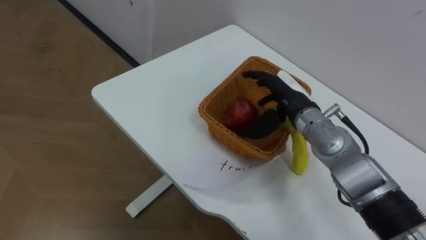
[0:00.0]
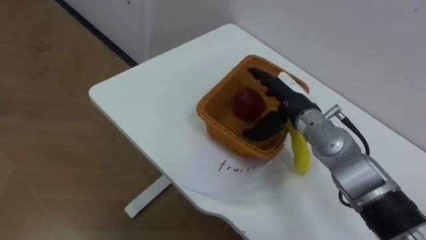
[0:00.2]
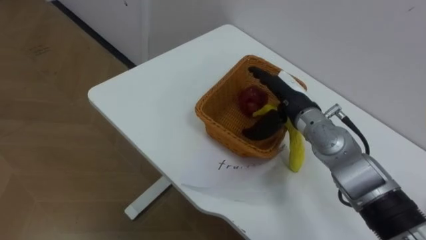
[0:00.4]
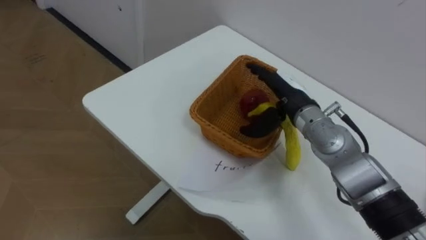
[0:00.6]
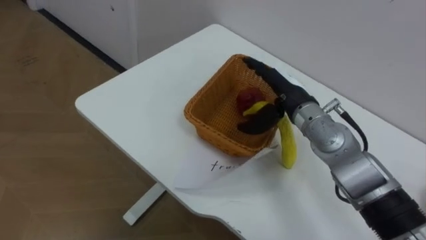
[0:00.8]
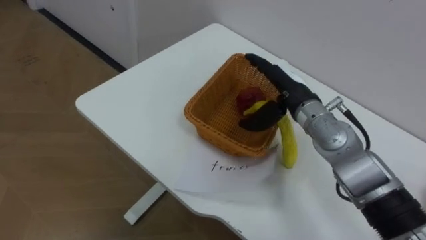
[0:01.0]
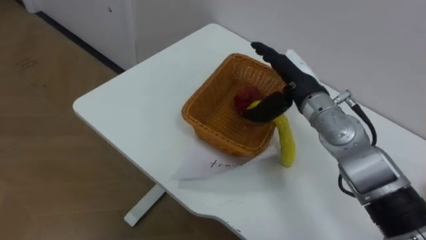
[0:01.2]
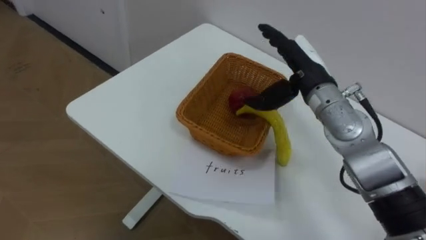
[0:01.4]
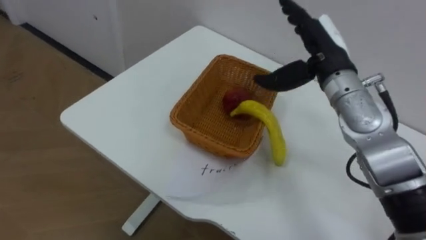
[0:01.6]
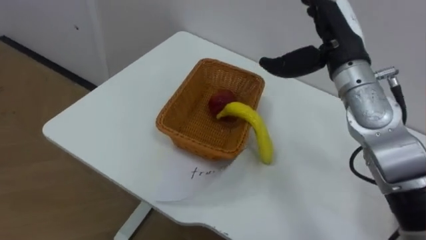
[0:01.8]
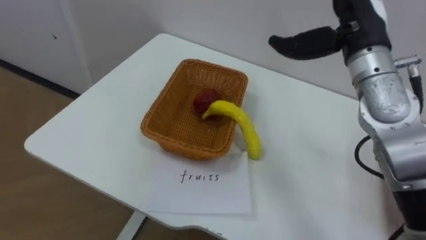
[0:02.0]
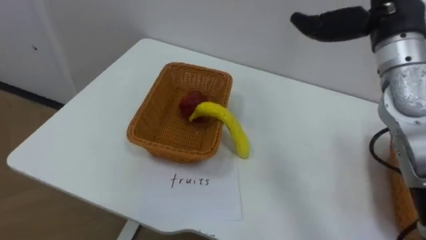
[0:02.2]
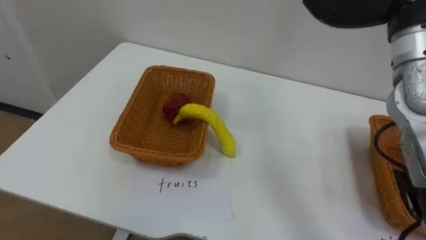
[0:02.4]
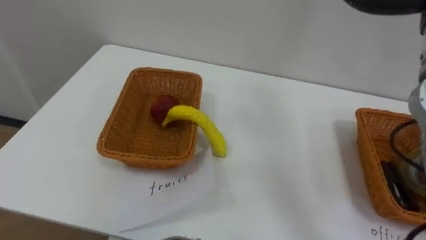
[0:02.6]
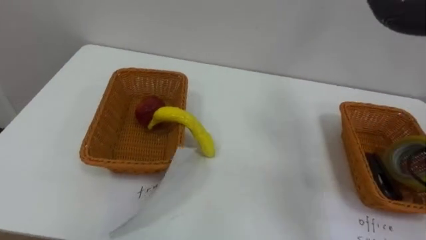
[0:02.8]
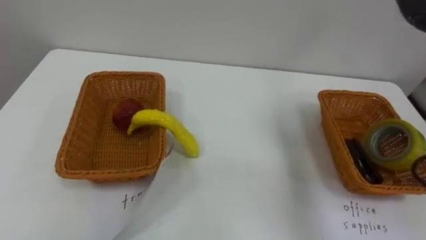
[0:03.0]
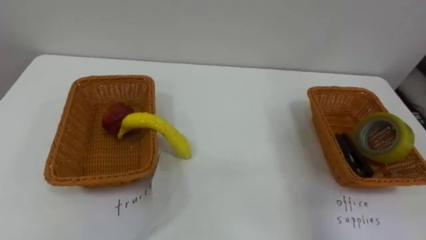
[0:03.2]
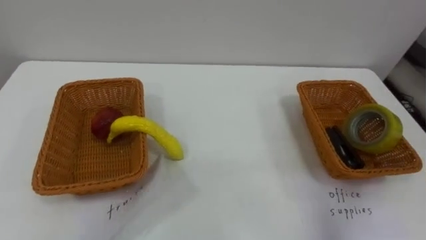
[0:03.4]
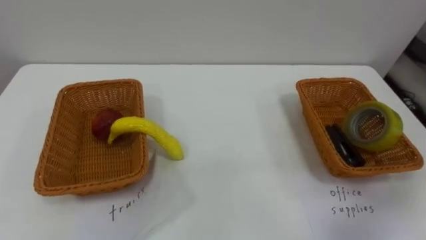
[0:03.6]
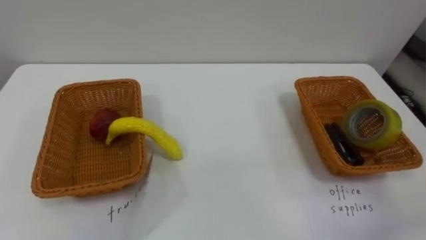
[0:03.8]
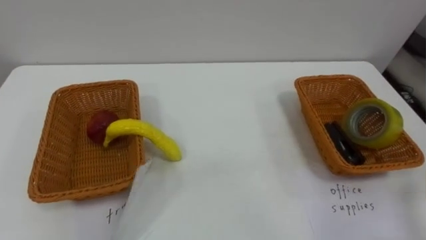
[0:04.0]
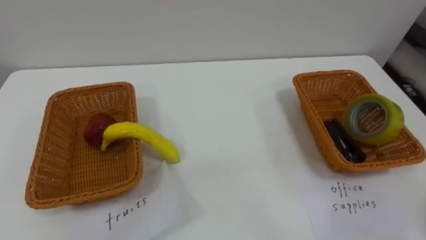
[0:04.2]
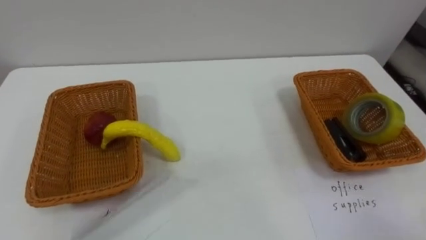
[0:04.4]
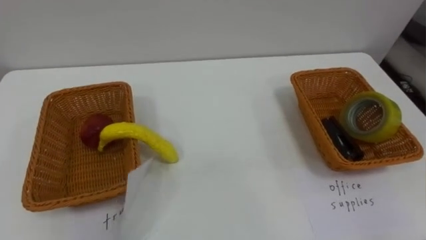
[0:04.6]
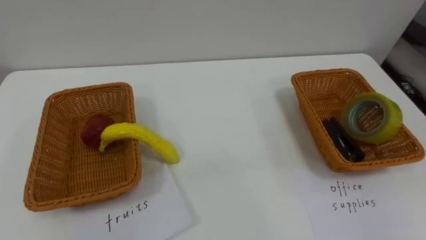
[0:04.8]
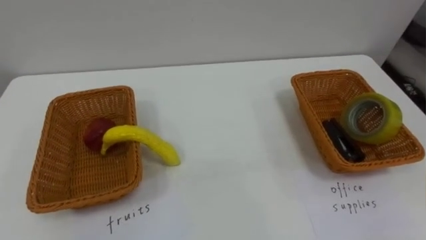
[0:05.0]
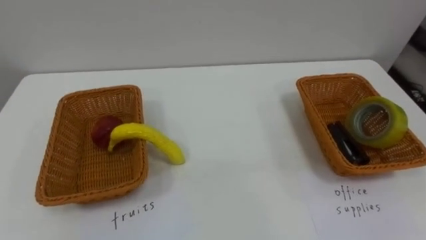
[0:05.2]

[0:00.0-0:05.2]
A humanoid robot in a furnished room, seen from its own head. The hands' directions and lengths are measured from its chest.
Task of the whole recording: Separate the items on the table and place them into the two baskets.
0:00.0 to 0:01.8: The right hand goes about 10 cm upward.

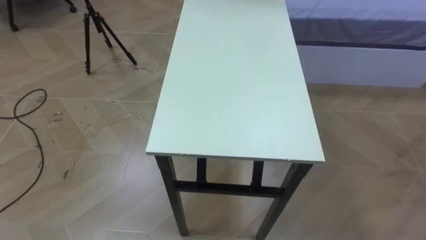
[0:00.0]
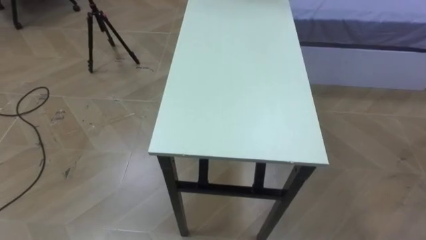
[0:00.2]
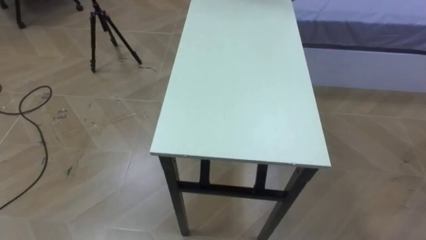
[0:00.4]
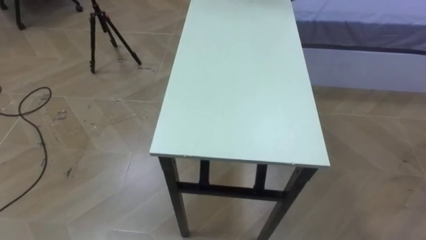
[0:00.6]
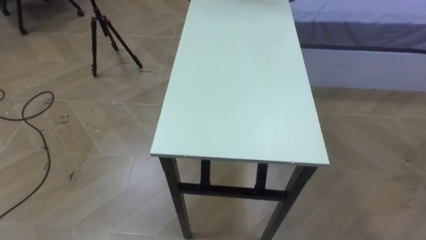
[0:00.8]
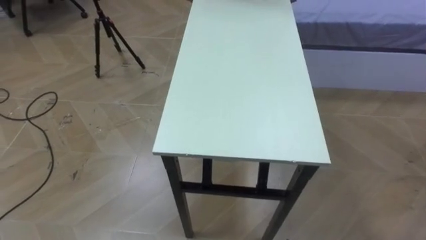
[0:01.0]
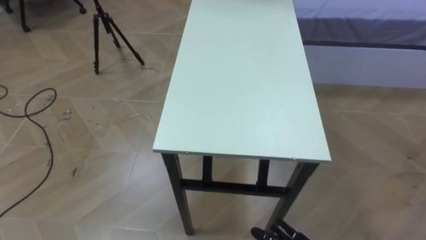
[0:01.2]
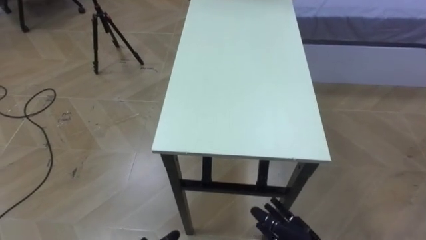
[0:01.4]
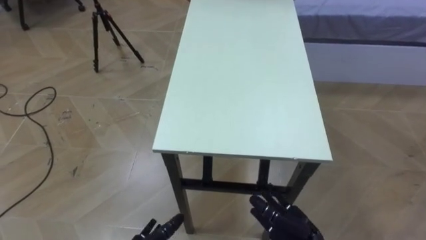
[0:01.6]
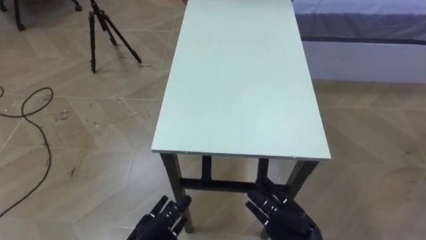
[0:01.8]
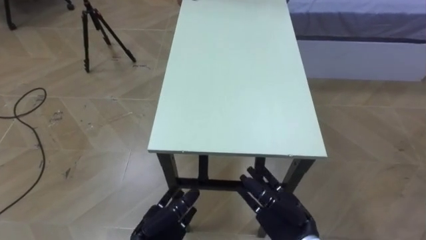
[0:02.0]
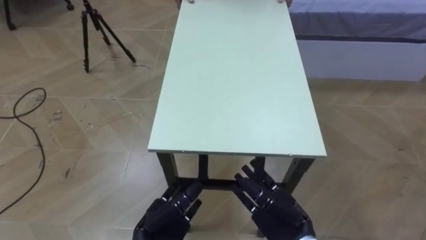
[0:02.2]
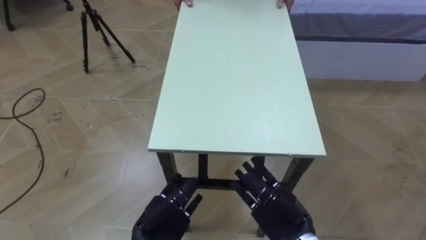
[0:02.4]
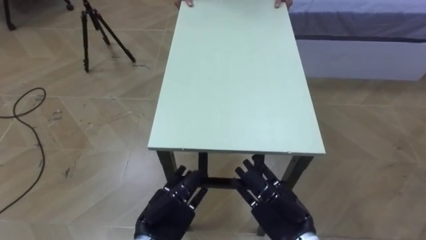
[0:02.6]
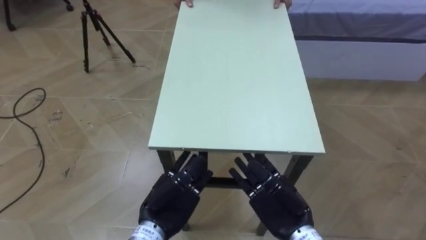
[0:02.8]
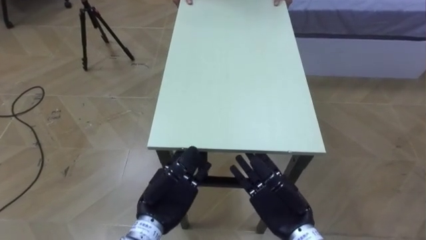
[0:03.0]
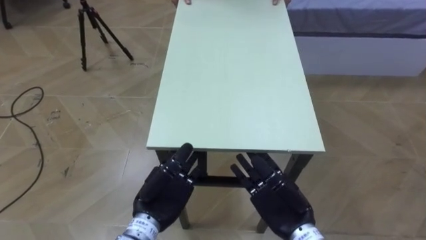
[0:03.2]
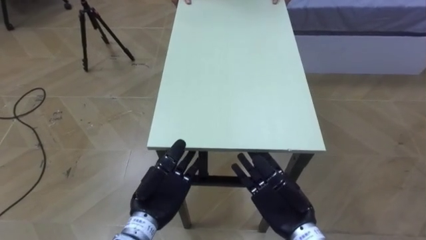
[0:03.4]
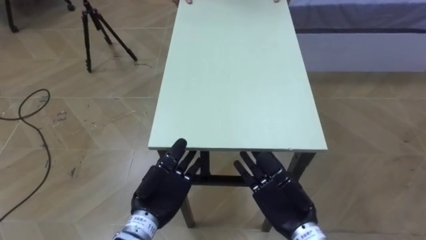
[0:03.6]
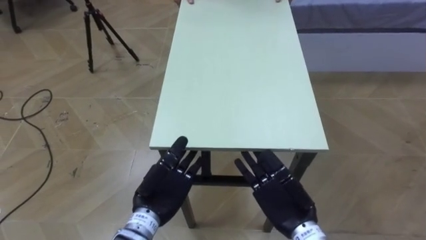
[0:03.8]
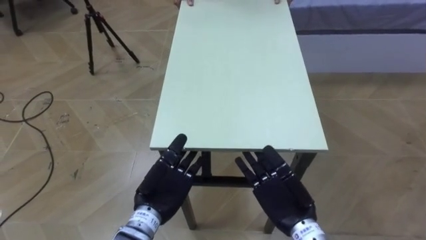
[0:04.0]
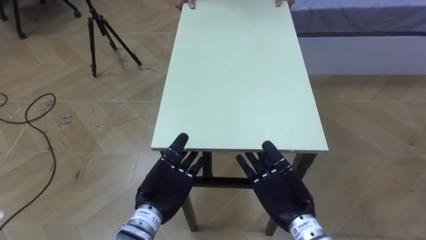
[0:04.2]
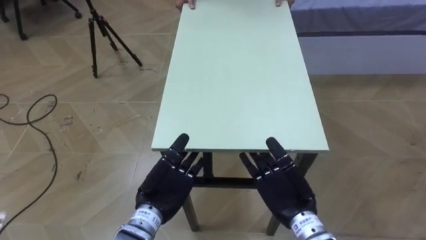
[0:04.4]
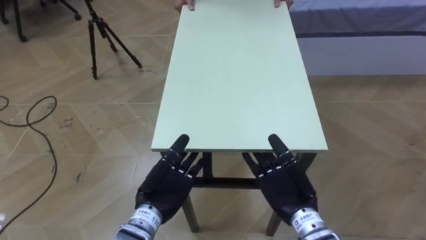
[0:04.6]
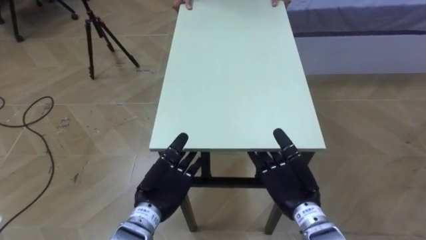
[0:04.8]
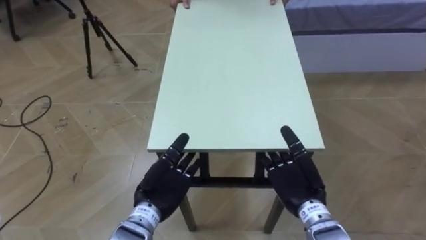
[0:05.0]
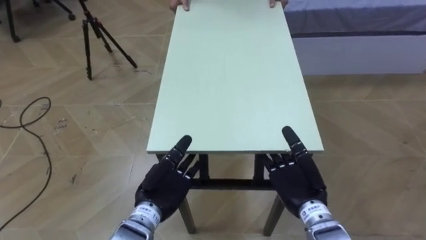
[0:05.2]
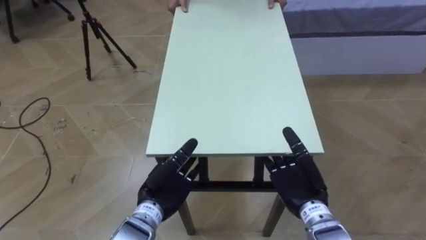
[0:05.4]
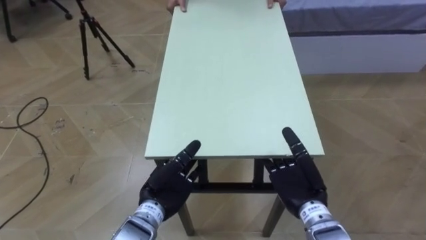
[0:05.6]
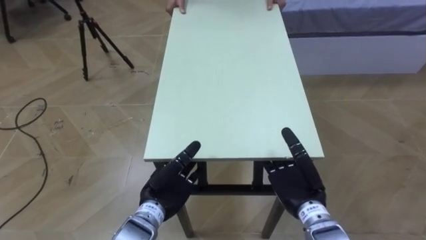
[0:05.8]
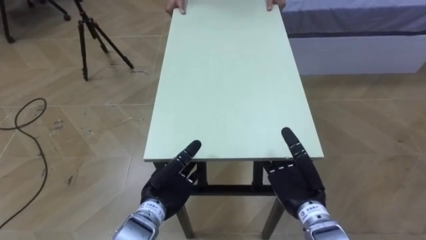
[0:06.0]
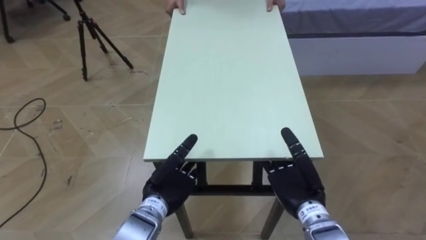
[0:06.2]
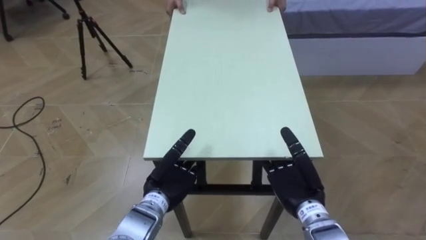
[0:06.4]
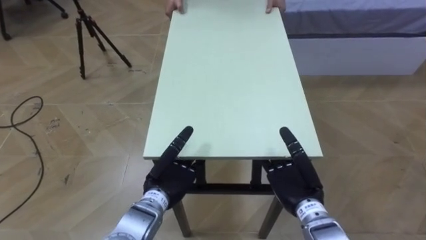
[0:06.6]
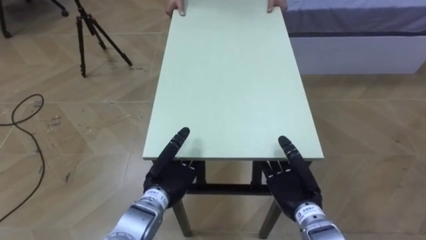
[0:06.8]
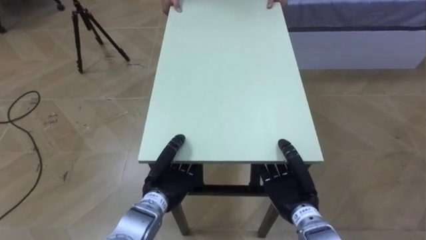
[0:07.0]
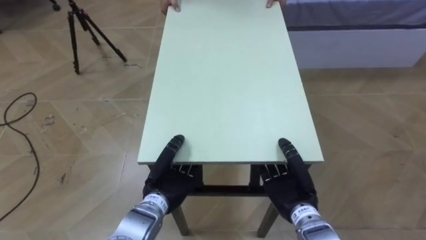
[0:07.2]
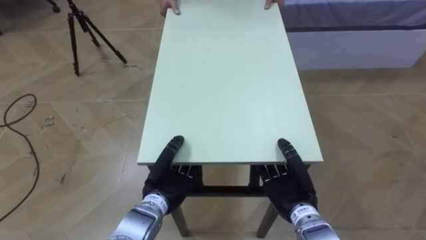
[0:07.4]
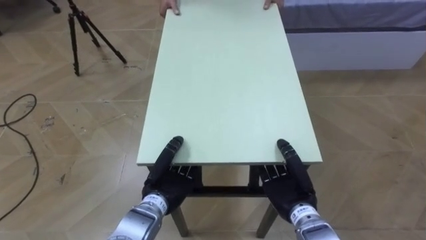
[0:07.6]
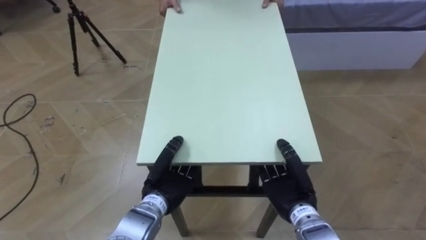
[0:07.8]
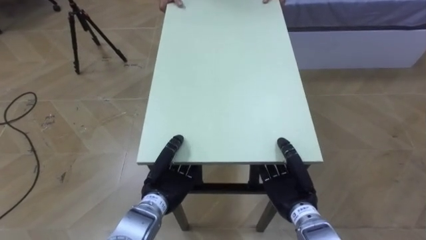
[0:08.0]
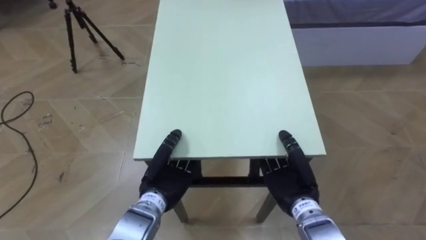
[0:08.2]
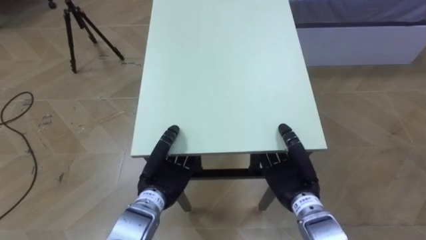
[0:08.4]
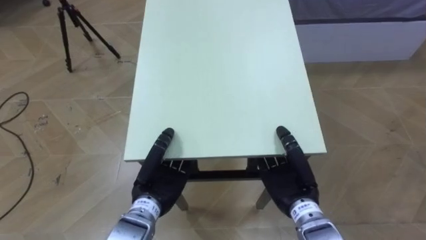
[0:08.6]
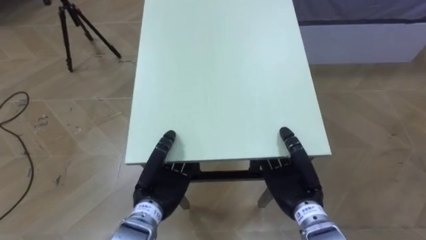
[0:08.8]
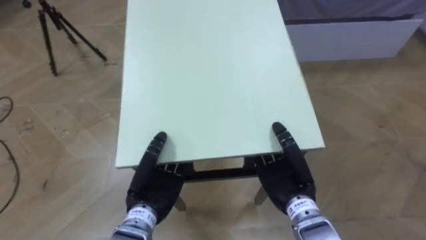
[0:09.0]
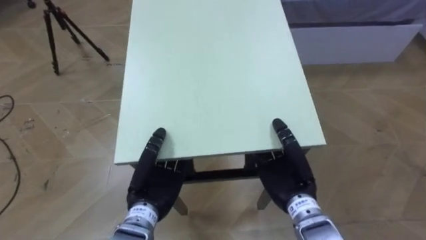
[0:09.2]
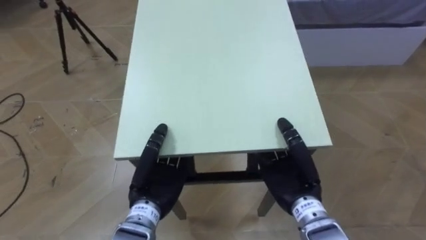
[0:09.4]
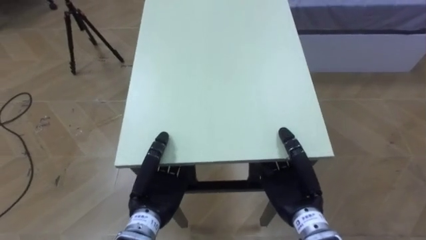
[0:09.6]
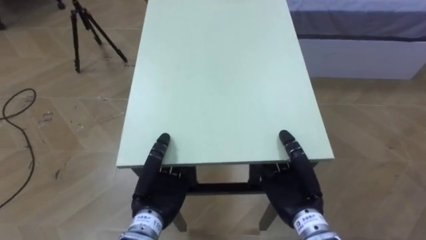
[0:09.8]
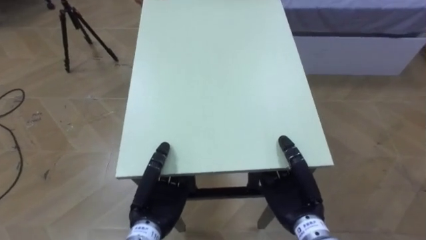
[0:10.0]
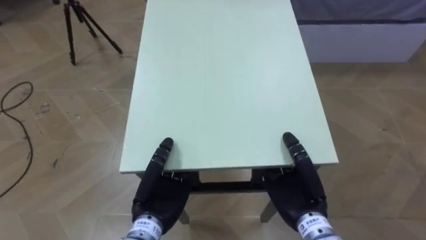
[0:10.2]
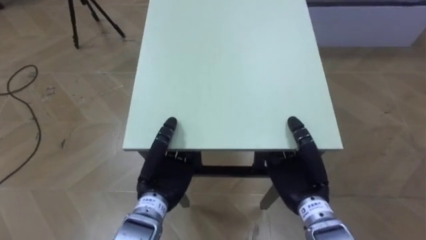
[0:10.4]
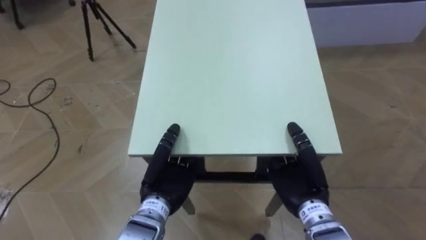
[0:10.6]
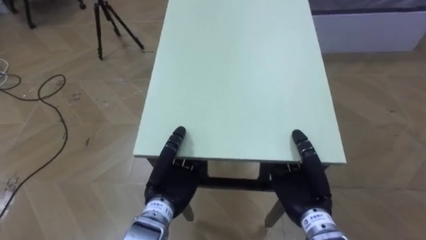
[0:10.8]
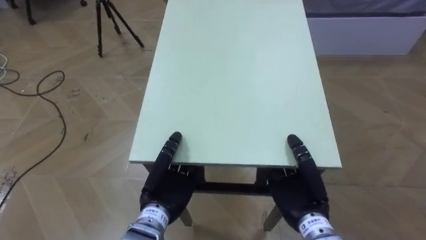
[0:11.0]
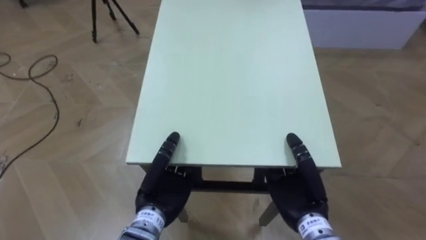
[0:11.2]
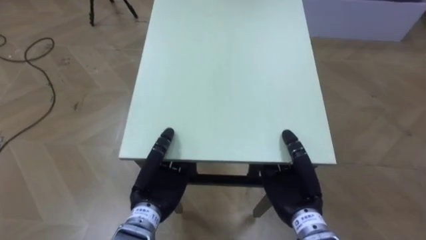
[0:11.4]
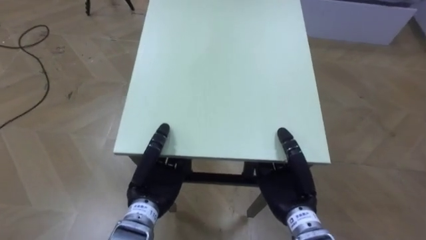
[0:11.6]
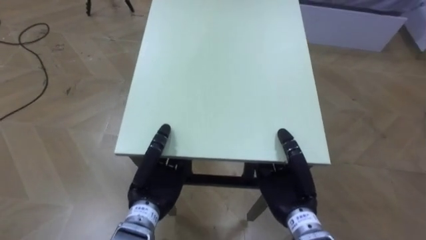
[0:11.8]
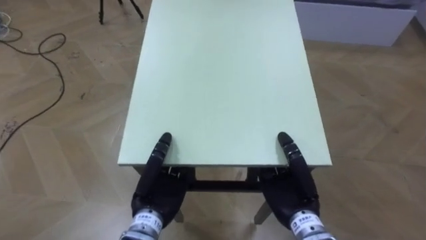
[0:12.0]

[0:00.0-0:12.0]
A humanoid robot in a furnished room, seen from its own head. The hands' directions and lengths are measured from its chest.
Task of the whole recording: Move the table to the back left with someone.
0:01.6 to 0:03.0: The right hand travels upward by some 10 cm.
0:03.0 to 0:04.4: The hands make only small movements.
0:04.4 to 0:06.0: There are only small adjustments of the hands.
0:06.0 to 0:07.6: The left hand closes, while the right hand closes.
0:07.6 to 0:09.0: The right hand travels upward by some 5 cm; the left hand changes place by about 5 cm.
